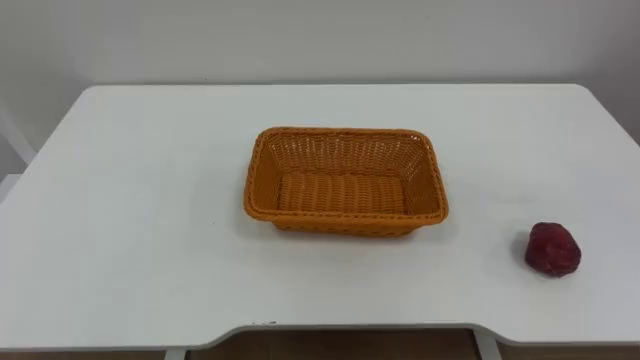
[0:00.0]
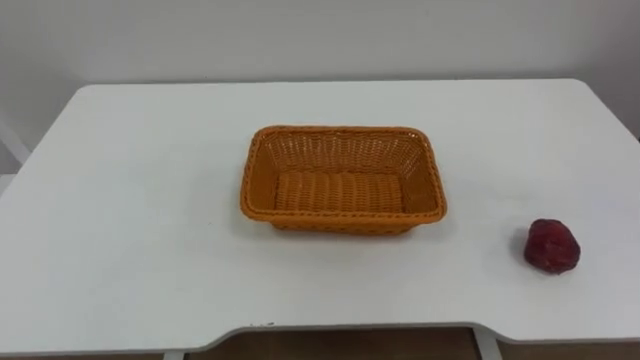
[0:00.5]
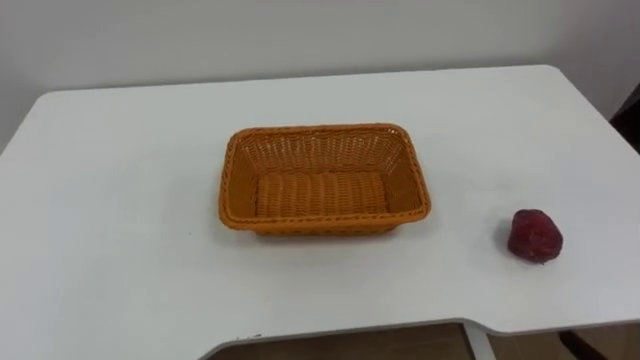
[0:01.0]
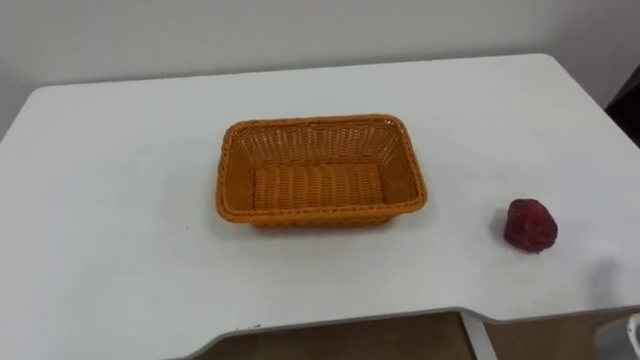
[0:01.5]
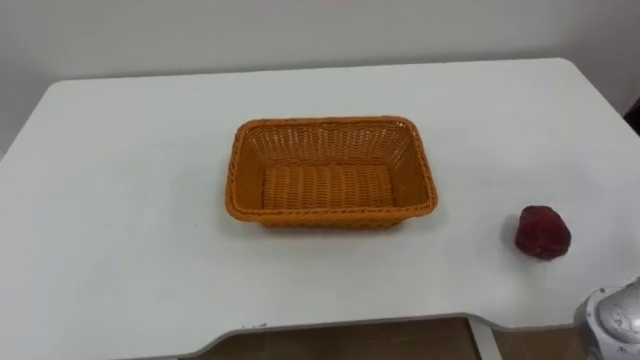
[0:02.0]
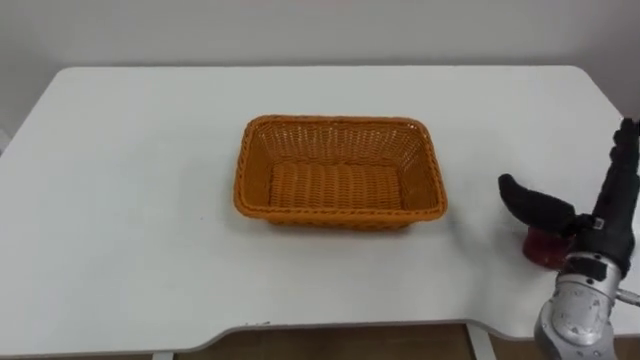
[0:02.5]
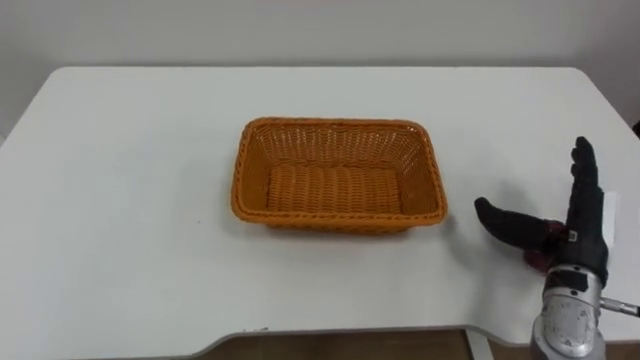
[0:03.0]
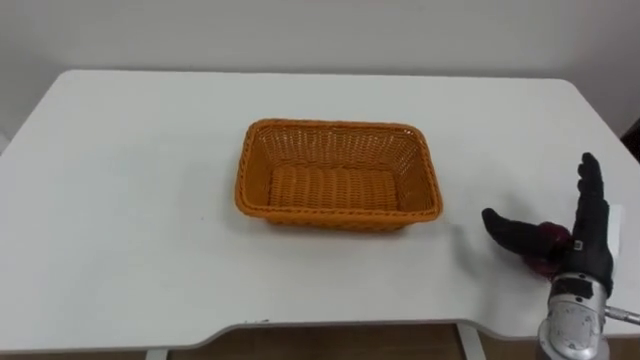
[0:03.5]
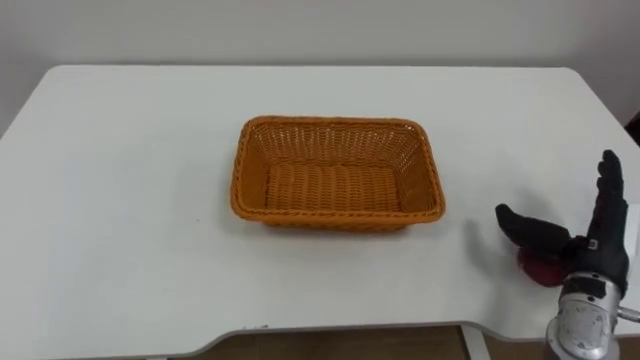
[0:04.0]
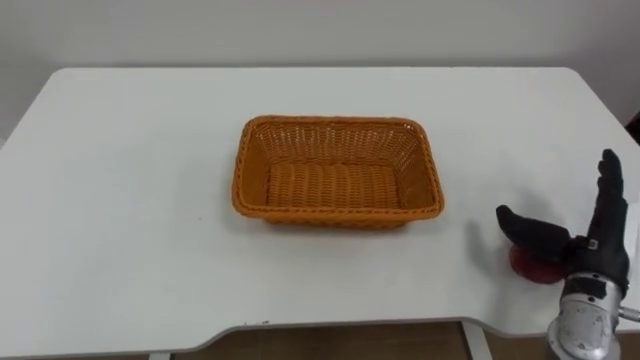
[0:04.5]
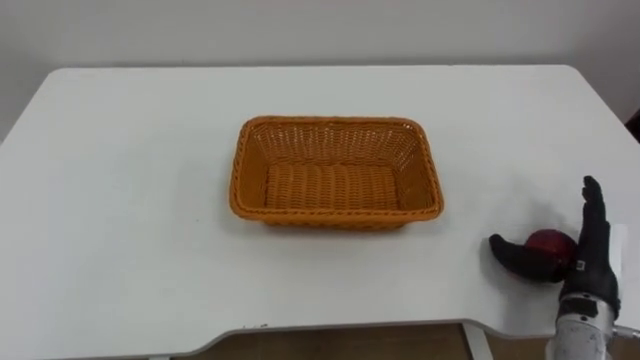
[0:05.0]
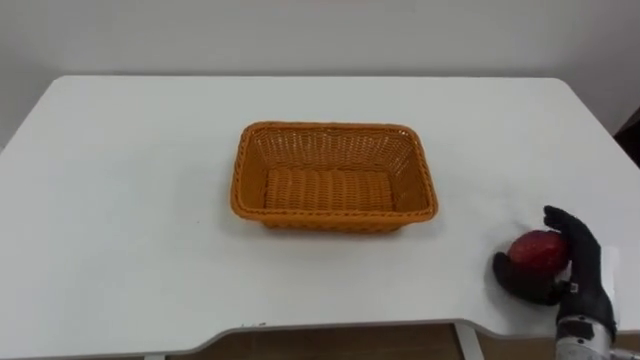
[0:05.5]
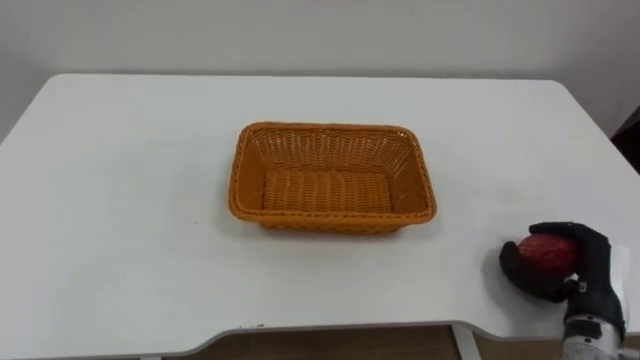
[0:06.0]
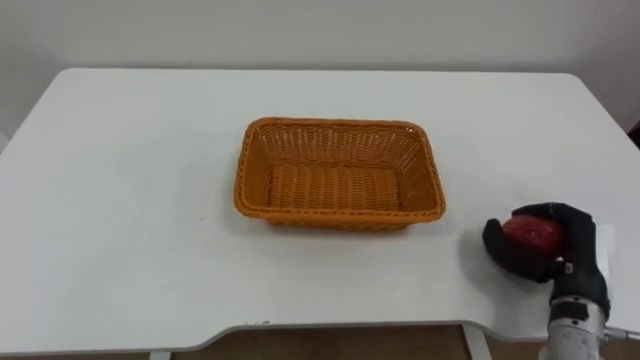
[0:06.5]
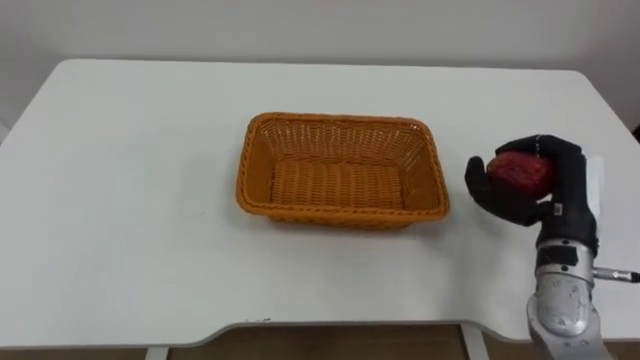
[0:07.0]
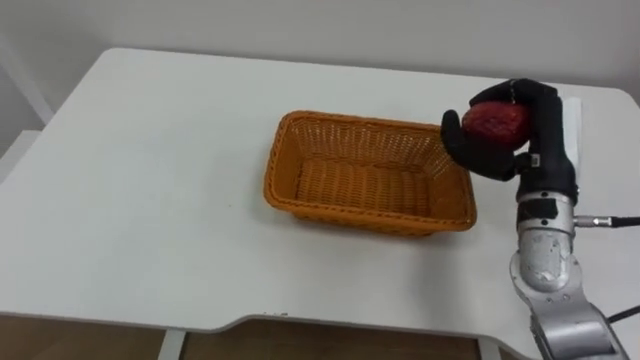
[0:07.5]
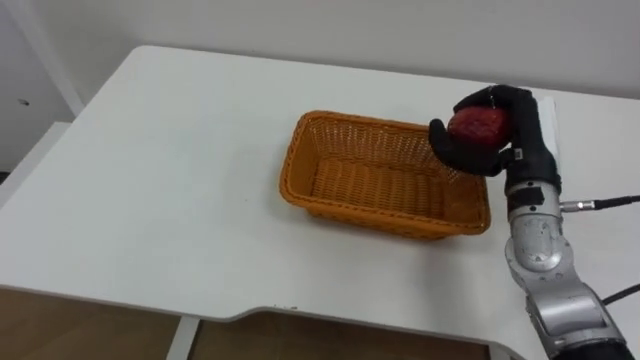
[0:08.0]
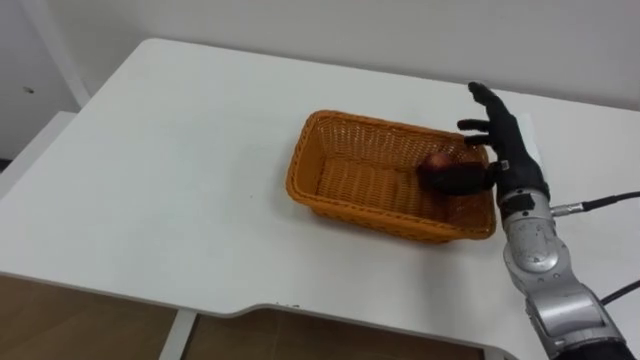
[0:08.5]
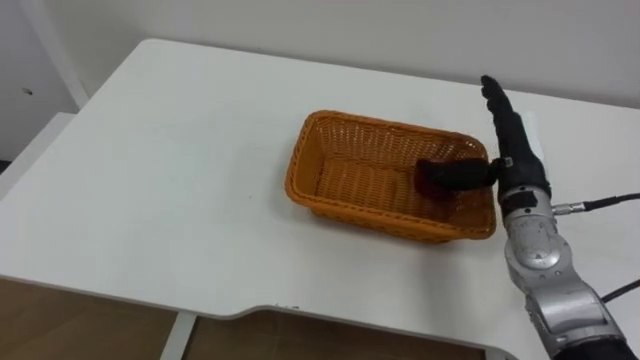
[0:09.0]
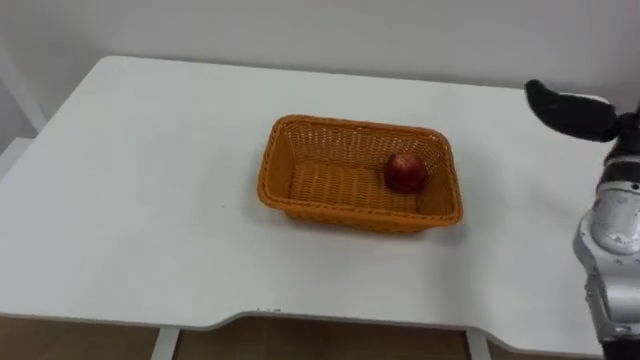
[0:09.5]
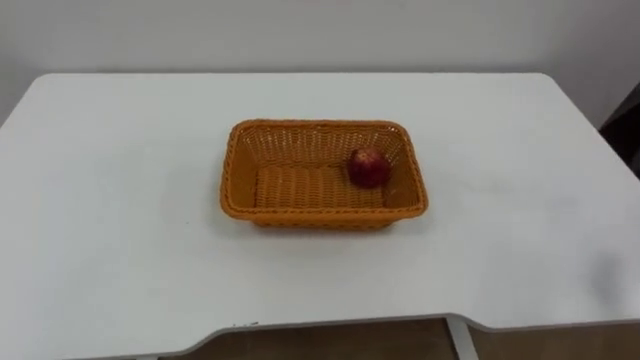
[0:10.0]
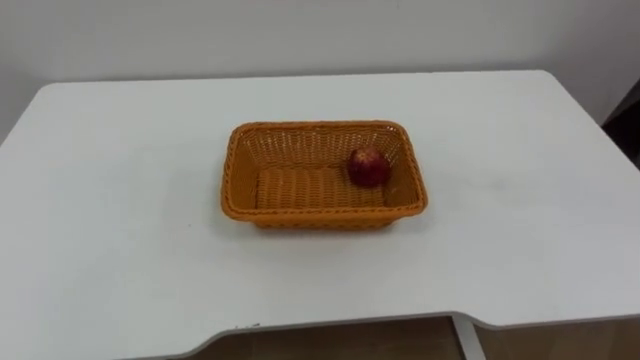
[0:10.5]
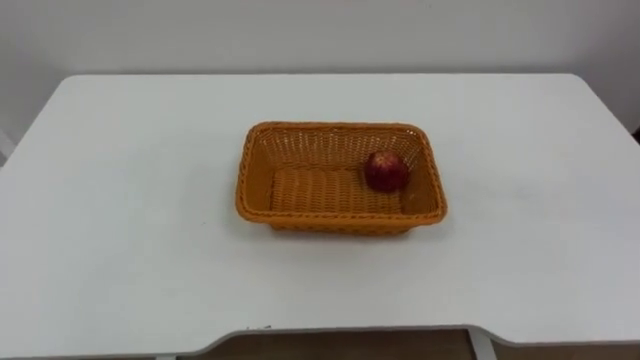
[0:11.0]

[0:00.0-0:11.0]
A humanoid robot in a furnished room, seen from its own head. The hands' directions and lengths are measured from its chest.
Task of the whole recording: Pick the apple and place it in the box.
0:03.5 to 0:05.5: The right hand changes place by some 5 cm.
0:05.5 to 0:07.5: The right hand goes approximately 20 cm upward, forward and to the left, and closes.
0:07.5 to 0:09.0: The right hand moves approximately 5 cm, and opens up.

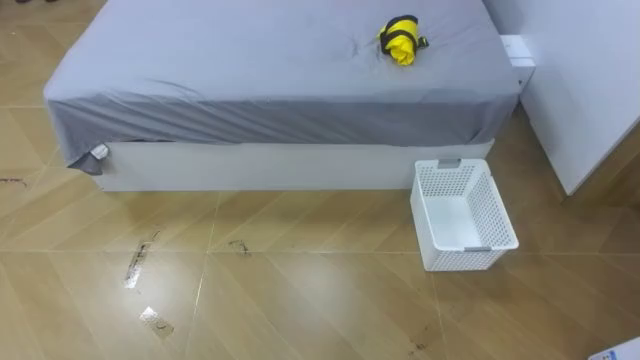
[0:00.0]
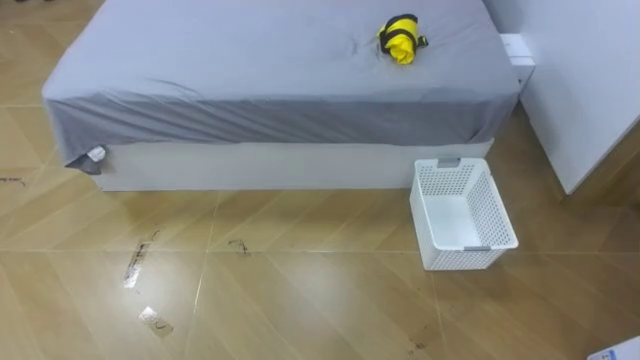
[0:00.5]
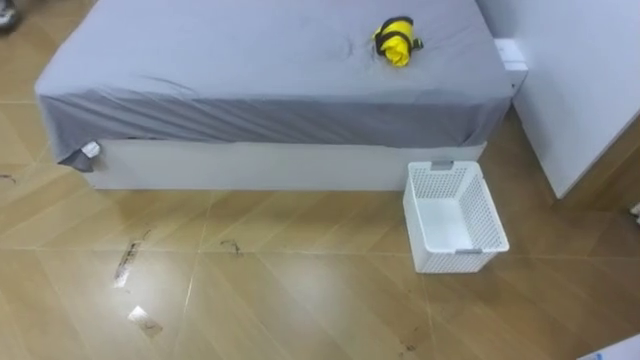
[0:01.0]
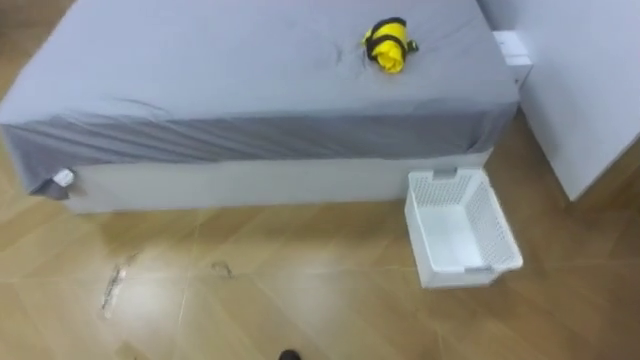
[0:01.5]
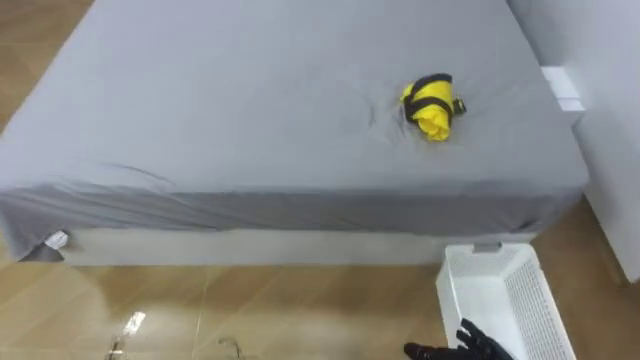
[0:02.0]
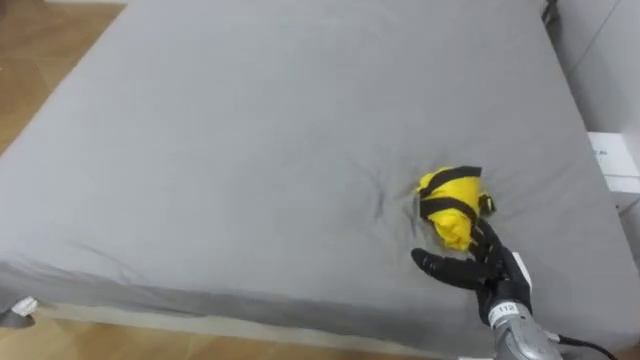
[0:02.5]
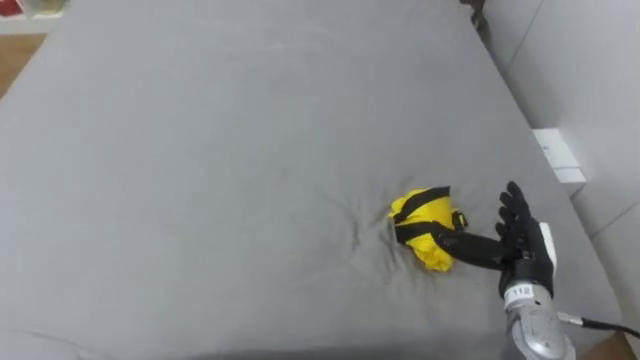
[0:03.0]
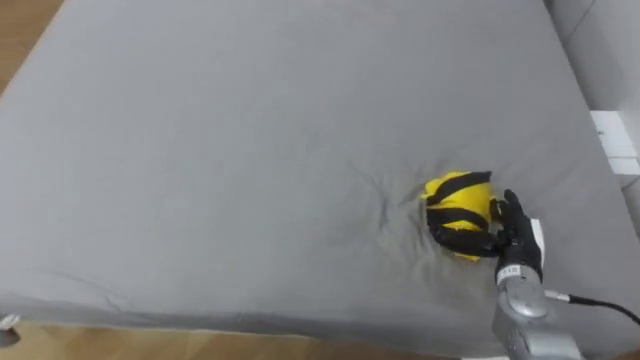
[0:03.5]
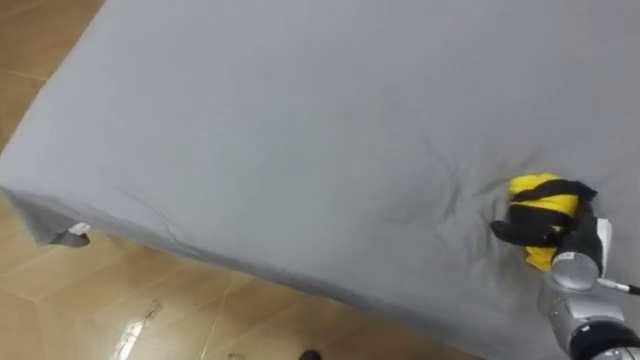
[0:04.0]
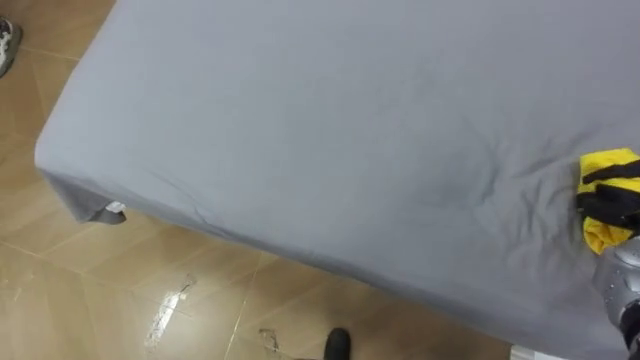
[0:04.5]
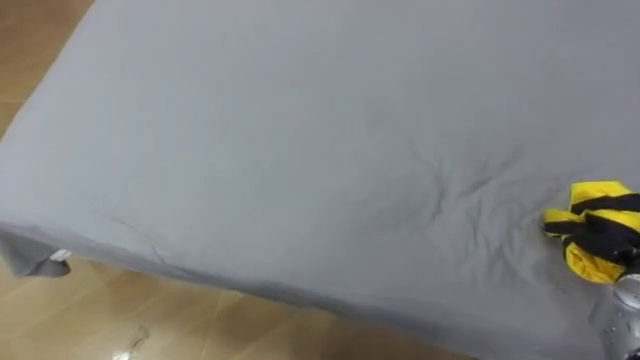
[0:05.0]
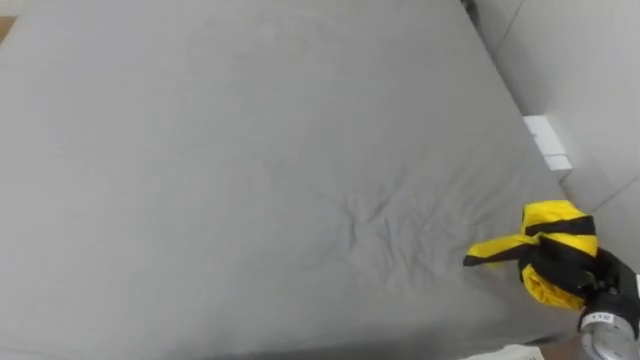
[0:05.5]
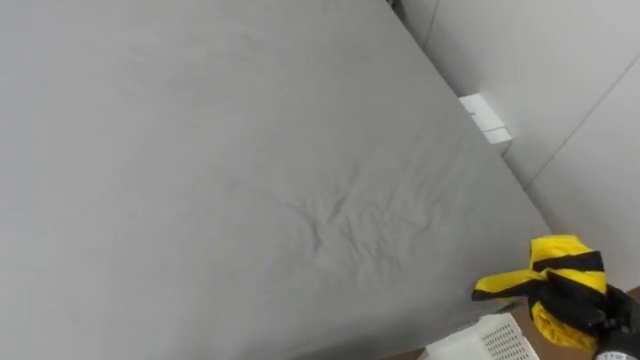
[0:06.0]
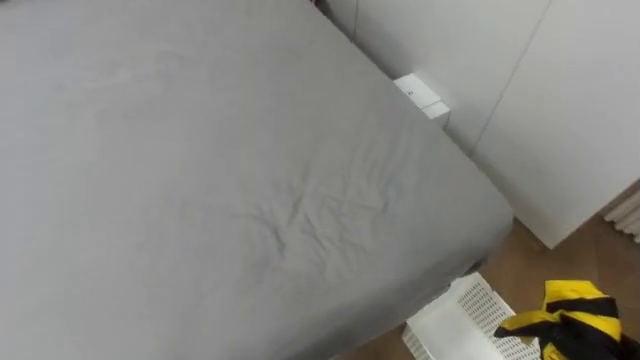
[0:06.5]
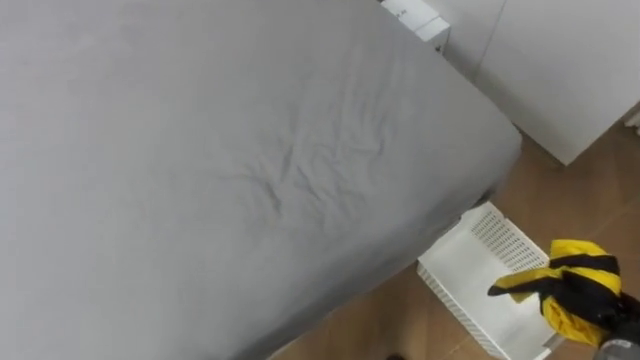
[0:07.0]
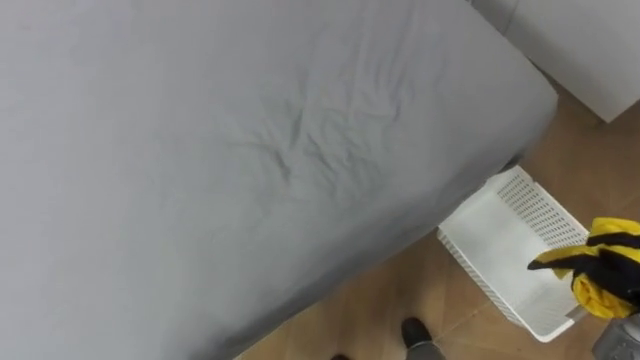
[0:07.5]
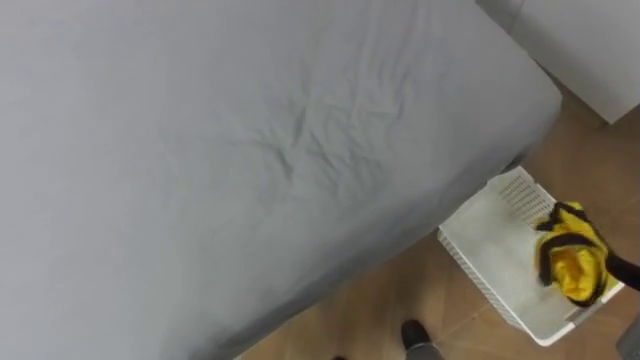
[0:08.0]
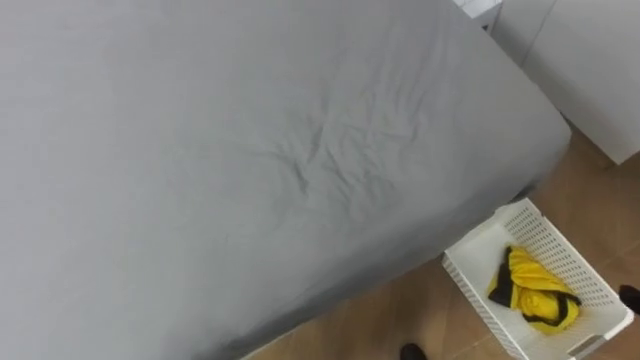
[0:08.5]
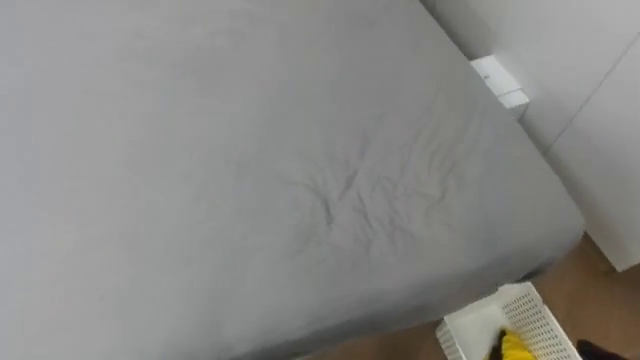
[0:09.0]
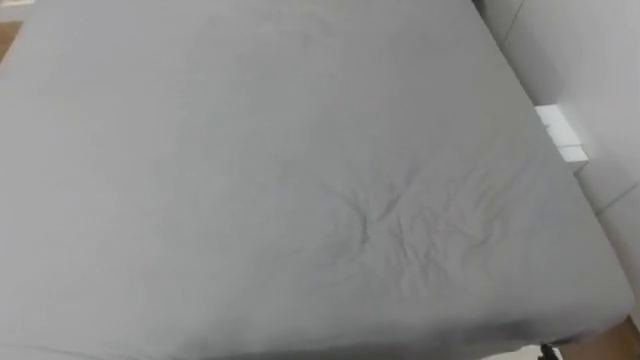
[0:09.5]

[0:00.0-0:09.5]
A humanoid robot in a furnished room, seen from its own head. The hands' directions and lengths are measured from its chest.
Task of the whole recording: Pick up the yellow clothes on the bed and place them into the white basket on the right.
0:05.5 to 0:07.5: The robot faces approximately 15 degrees further to its right.
0:07.5 to 0:09.5: The robot's body swings roughly 15 degrees to its left.
